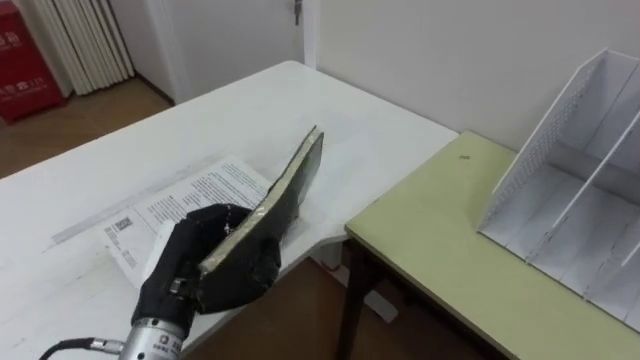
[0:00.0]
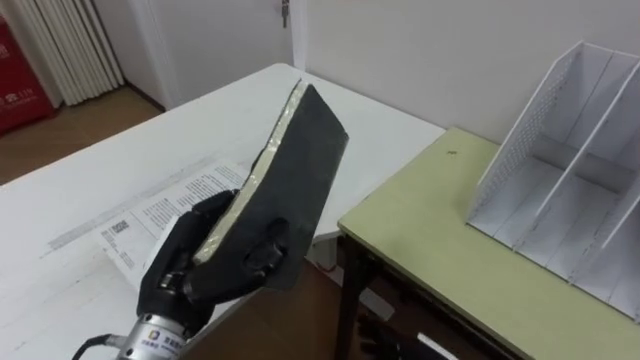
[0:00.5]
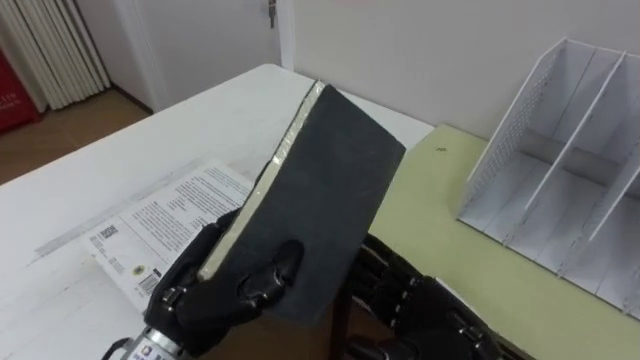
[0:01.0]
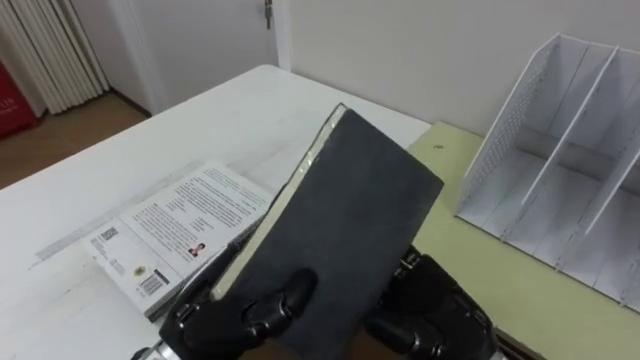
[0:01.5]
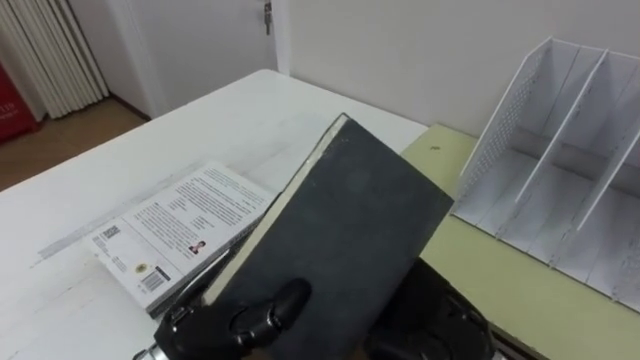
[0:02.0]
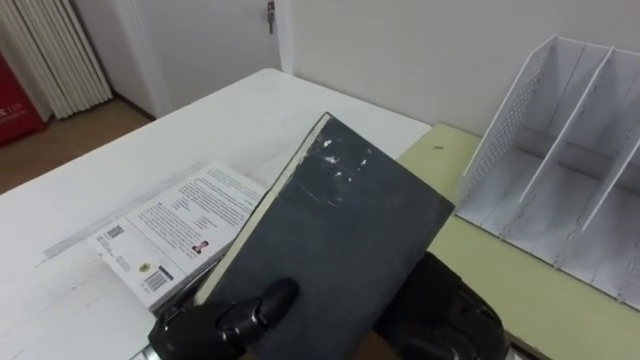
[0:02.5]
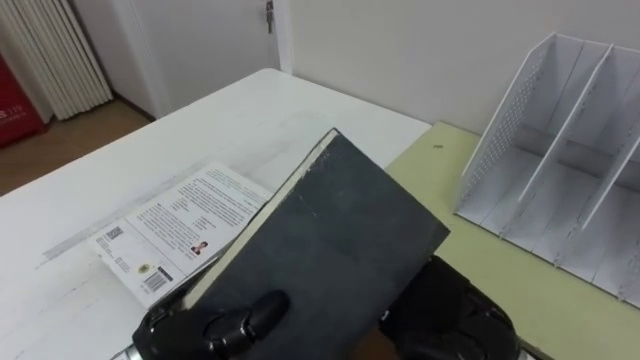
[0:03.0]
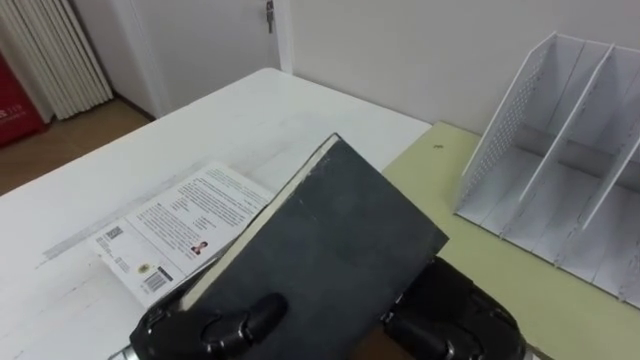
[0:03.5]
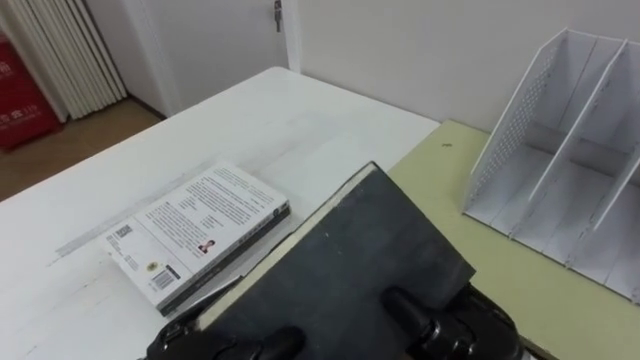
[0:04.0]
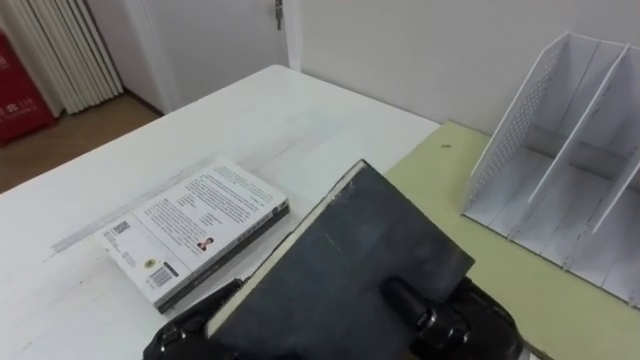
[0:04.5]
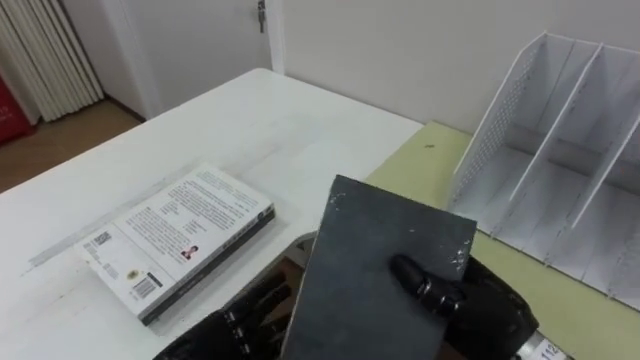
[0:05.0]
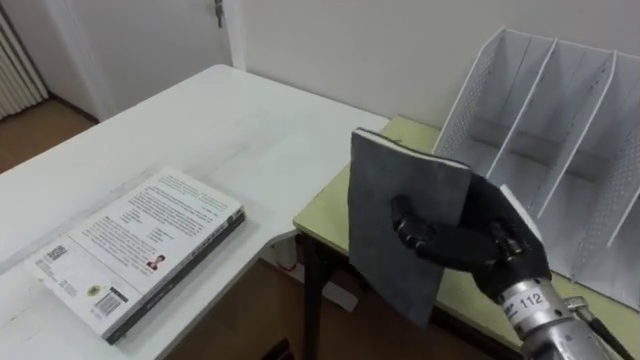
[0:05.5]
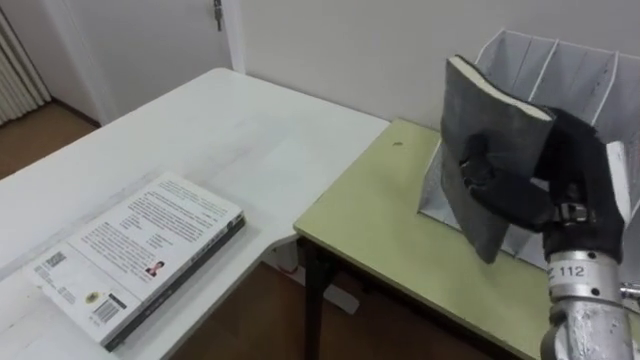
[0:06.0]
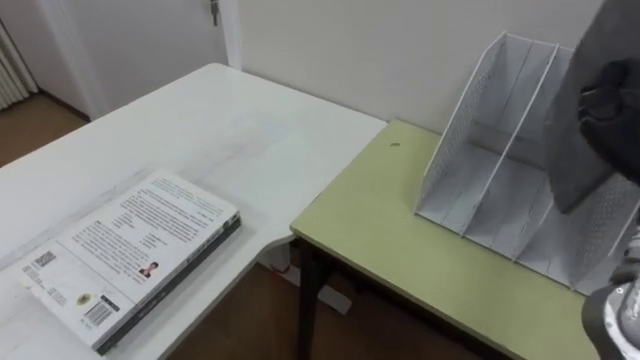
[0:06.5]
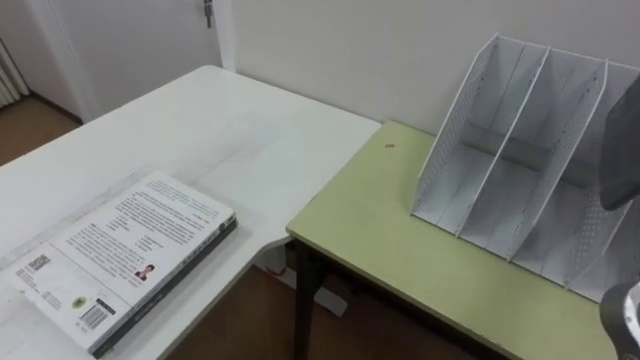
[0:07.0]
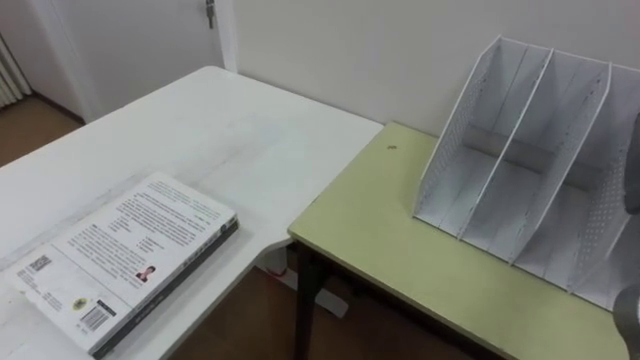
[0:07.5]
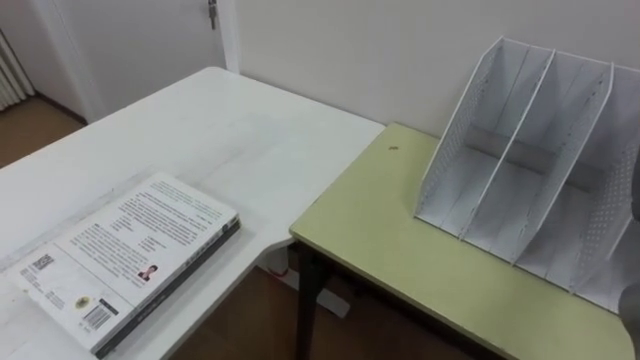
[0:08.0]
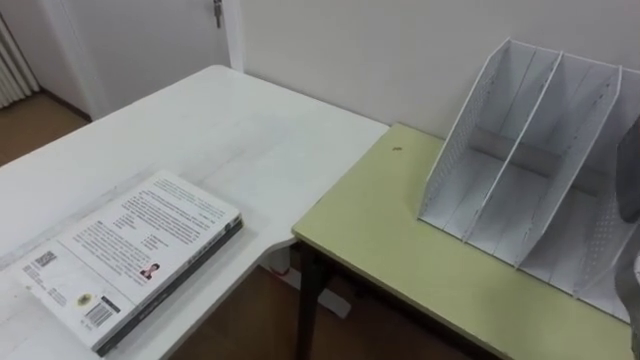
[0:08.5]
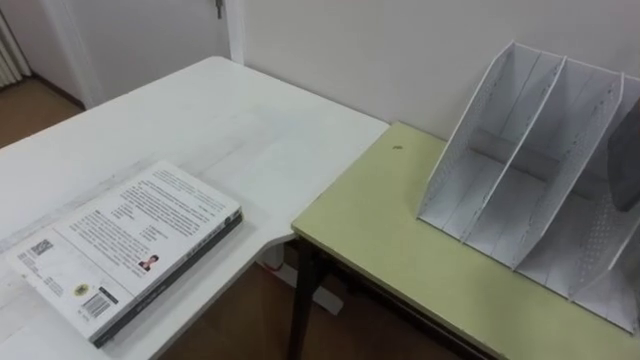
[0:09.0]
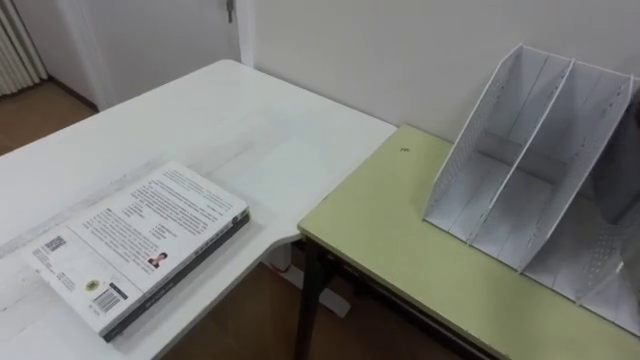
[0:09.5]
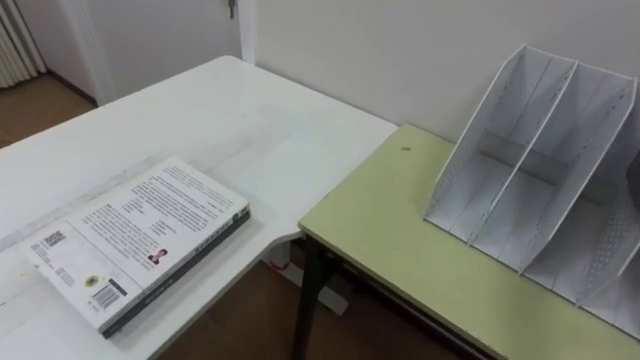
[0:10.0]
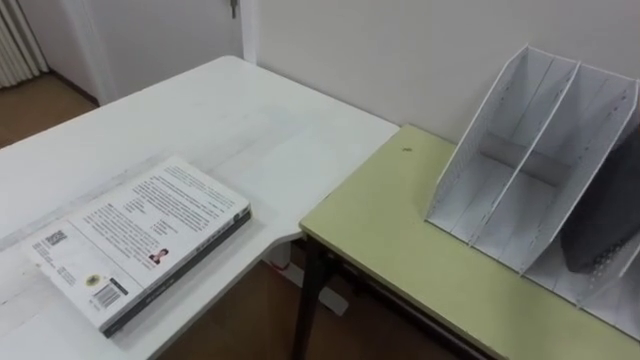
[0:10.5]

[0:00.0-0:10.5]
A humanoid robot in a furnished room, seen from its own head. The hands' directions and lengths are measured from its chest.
Task of the whole recording: Put the books on the table onto the bookshelf.
0:00.0 to 0:02.0: The left hand goes about 5 cm to the right.
0:02.0 to 0:04.0: The right hand closes its fingers.

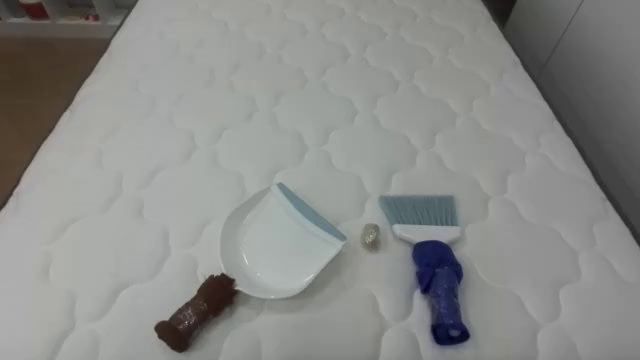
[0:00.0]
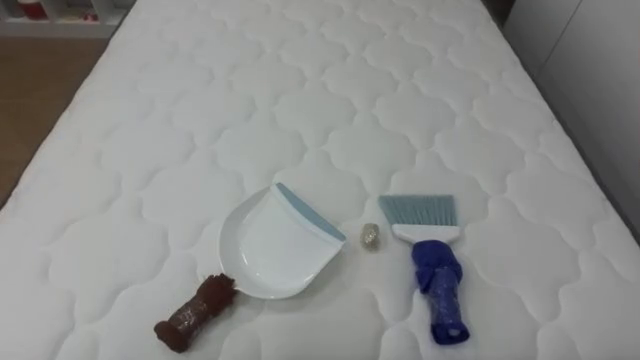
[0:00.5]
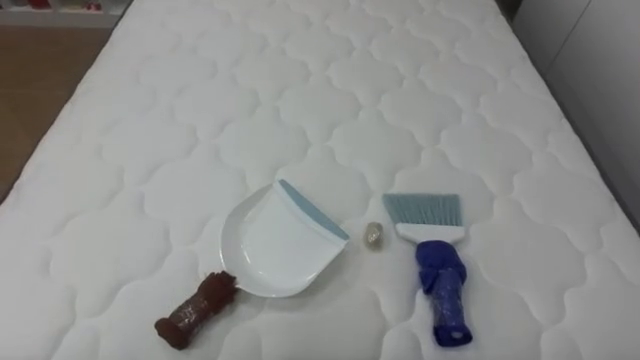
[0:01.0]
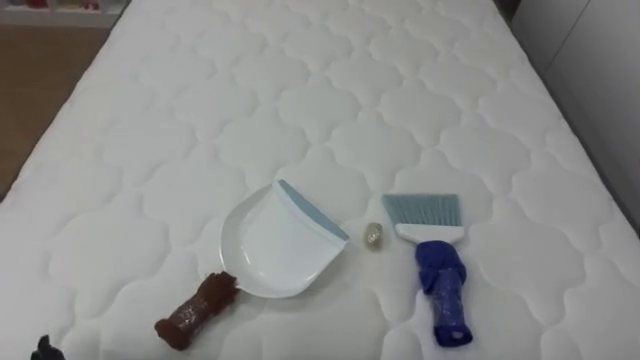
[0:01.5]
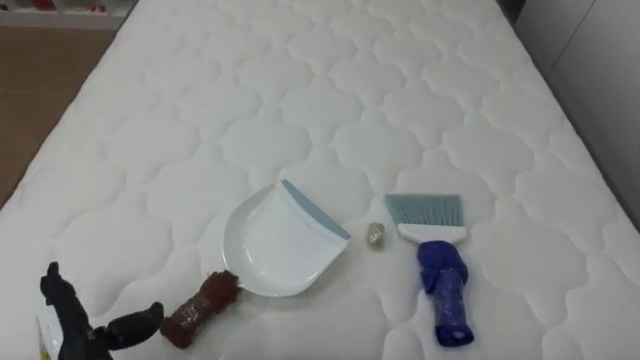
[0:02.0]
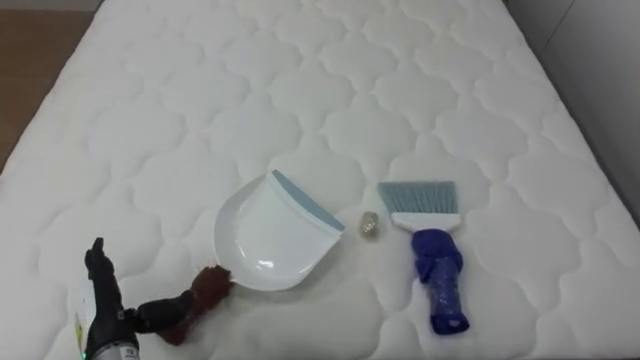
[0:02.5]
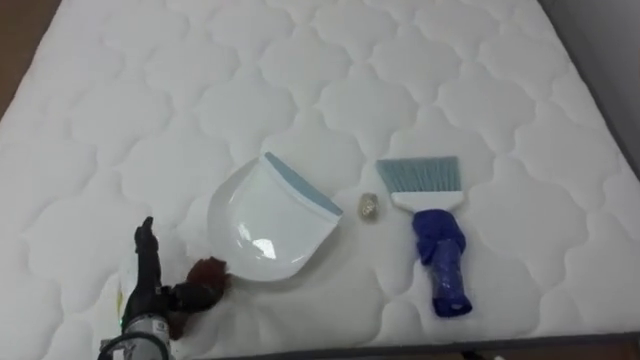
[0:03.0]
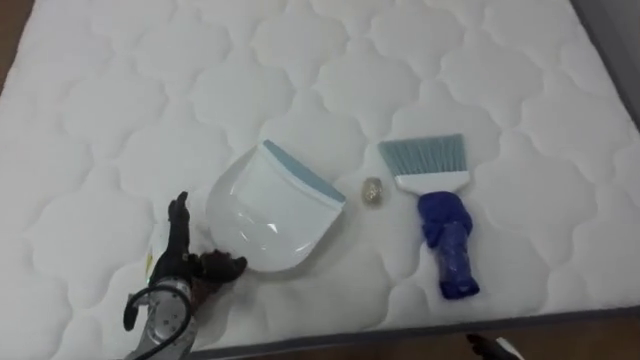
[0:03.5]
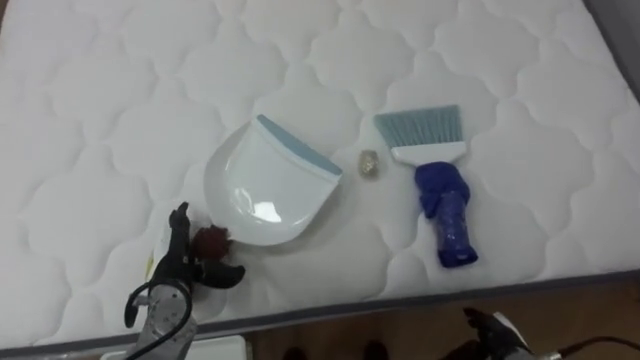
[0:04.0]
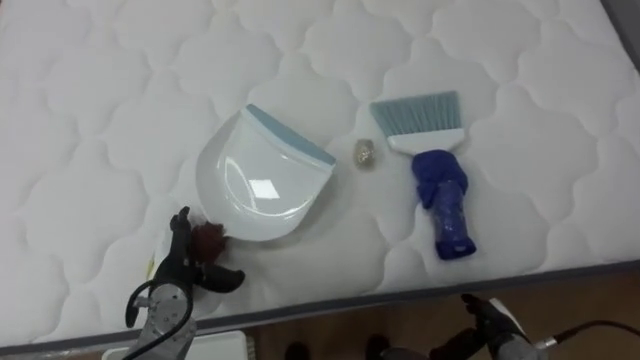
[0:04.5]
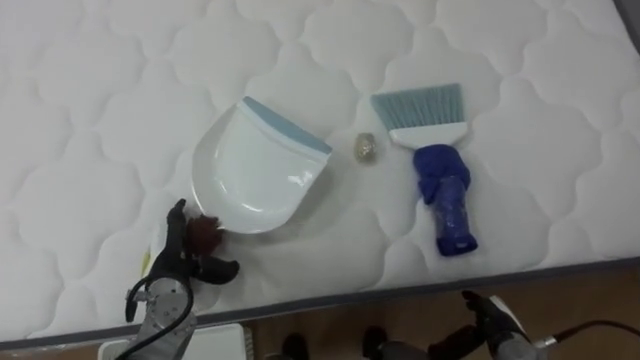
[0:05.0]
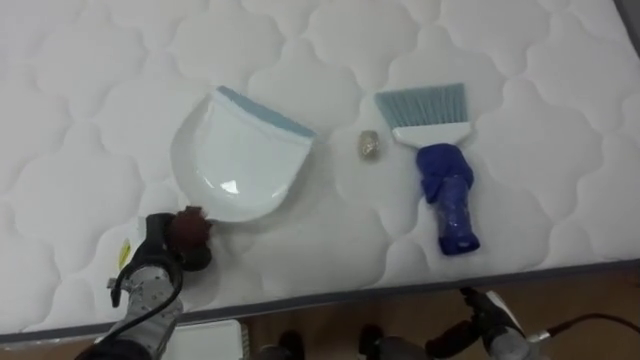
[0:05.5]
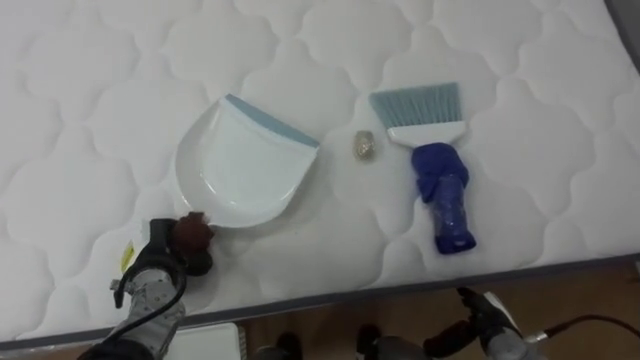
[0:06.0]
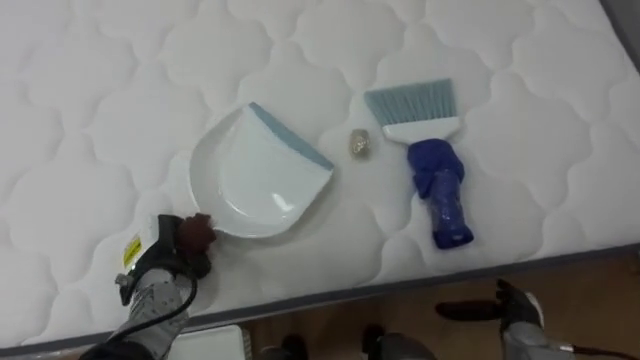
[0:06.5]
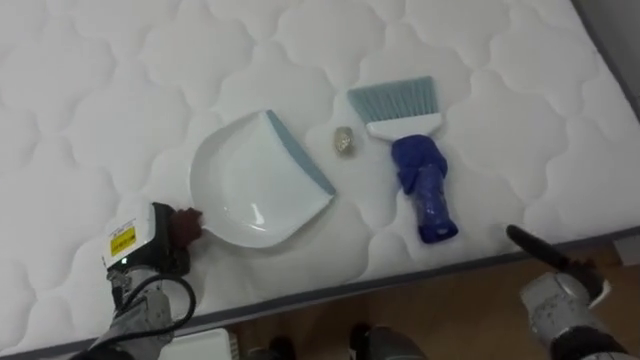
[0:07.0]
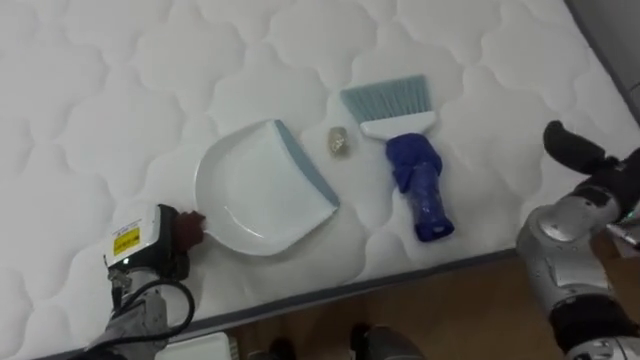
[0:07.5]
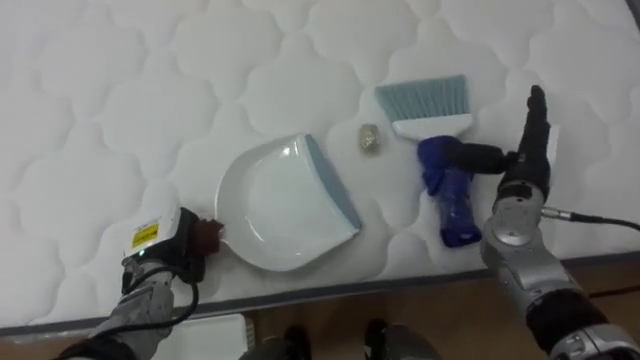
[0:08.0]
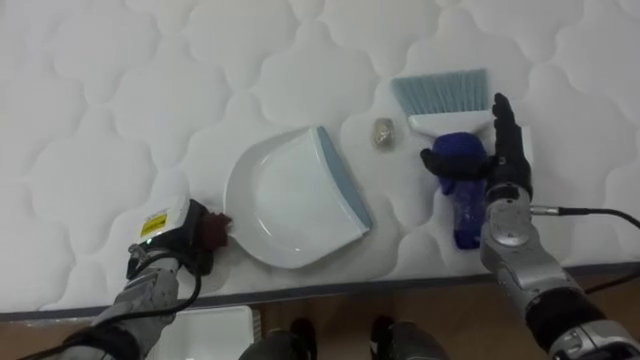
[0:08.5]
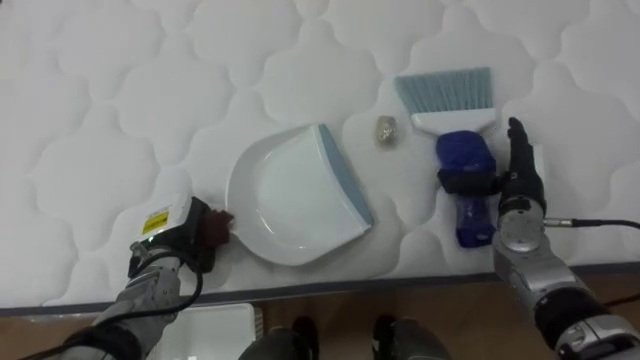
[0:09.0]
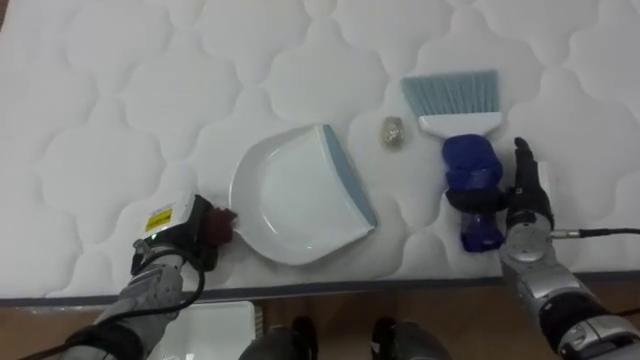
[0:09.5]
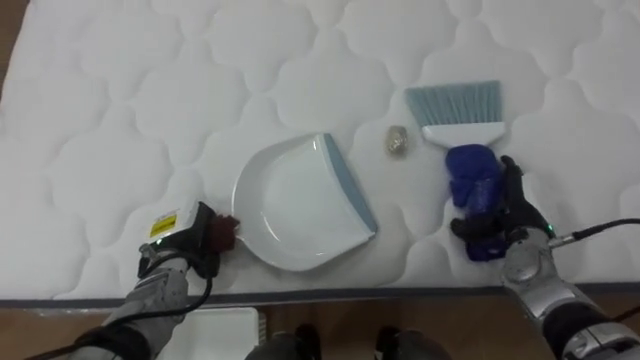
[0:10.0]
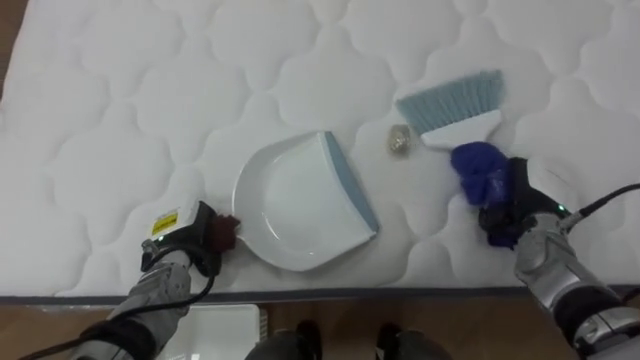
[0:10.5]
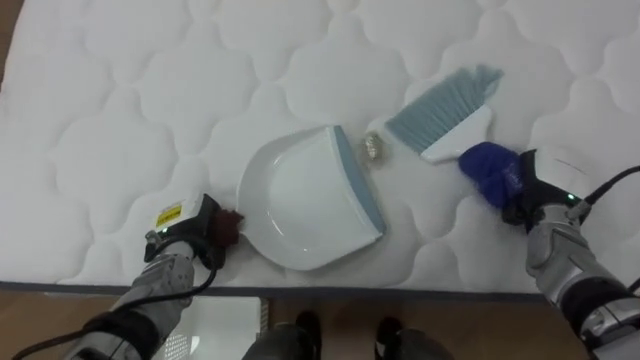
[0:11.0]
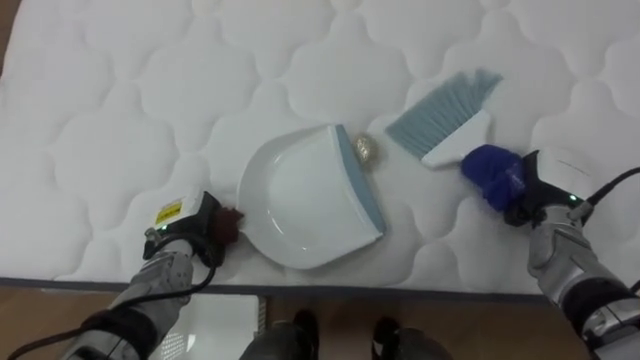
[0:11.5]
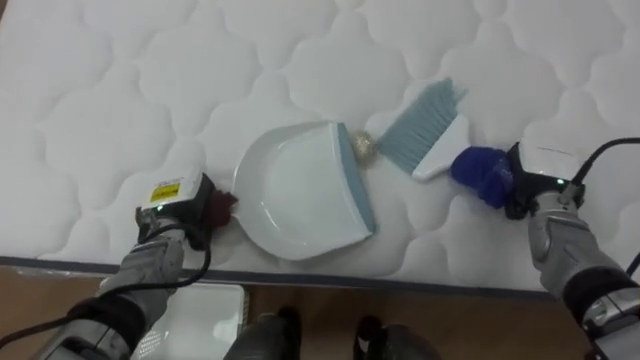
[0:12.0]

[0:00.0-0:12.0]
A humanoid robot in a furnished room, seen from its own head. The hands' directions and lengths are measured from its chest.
Task of the whole recording: Pick up the brush on your right and the dustpan on your left. Use the brush to sweep the crumpled paper on the bed into the dustpan, then turn left and empty it into the basket.
0:02.0 to 0:04.0: The left hand travels forward and to the right by some 15 cm.
0:04.0 to 0:06.0: The left hand closes up.
0:06.0 to 0:08.0: The right hand travels upward and forward by about 25 cm.
0:08.0 to 0:10.0: The right hand heads downward, covering approximately 10 cm.
0:10.0 to 0:12.0: The right hand shifts by some 5 cm, and closes.
